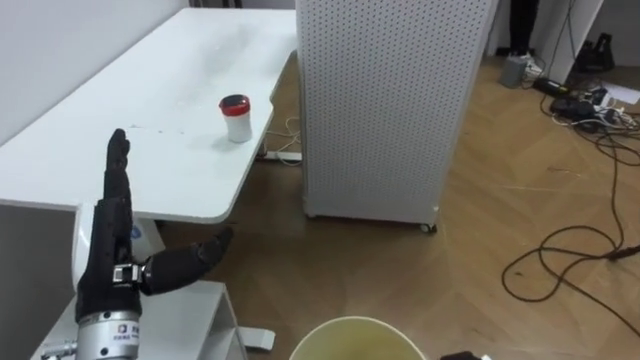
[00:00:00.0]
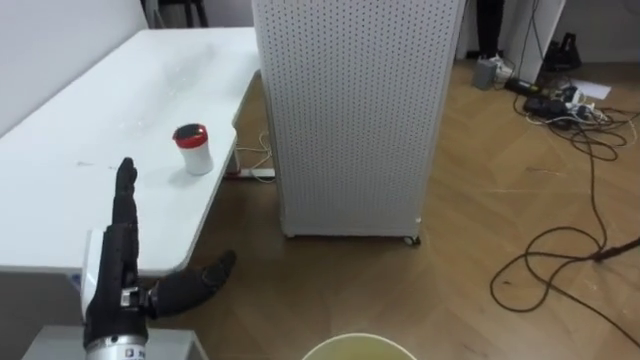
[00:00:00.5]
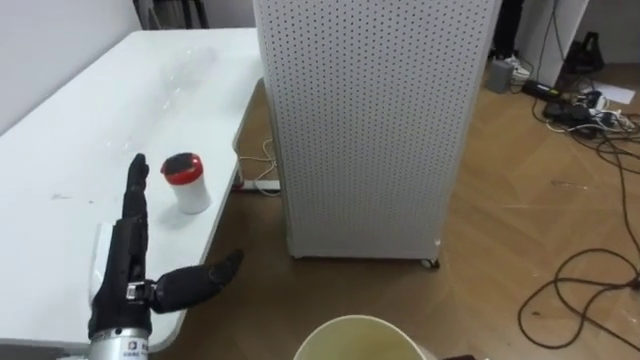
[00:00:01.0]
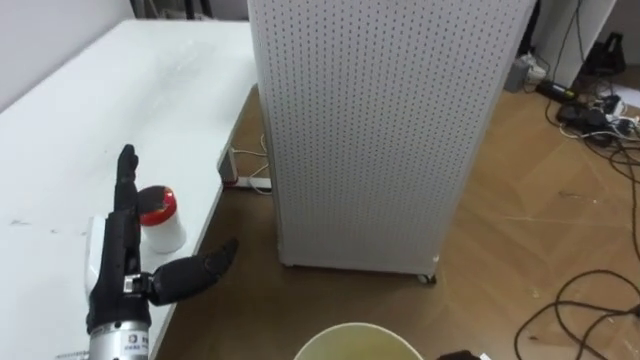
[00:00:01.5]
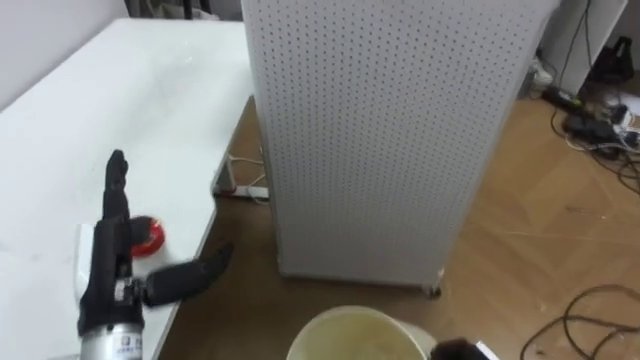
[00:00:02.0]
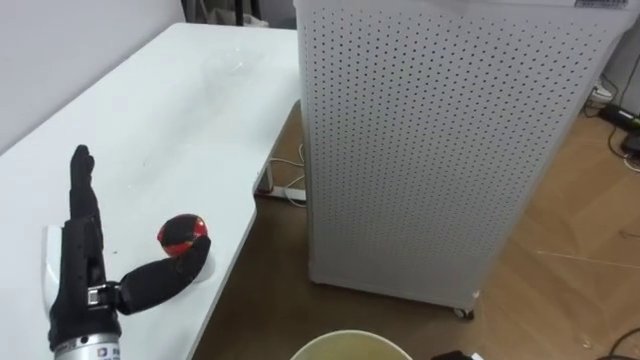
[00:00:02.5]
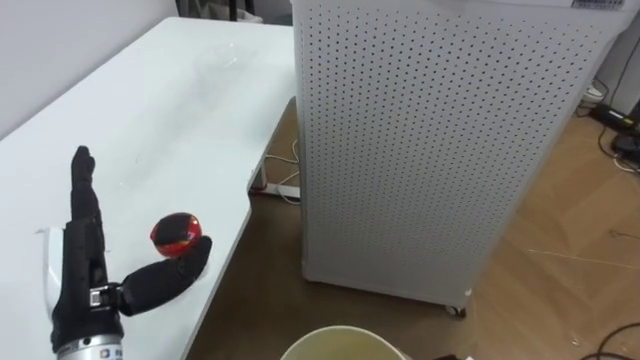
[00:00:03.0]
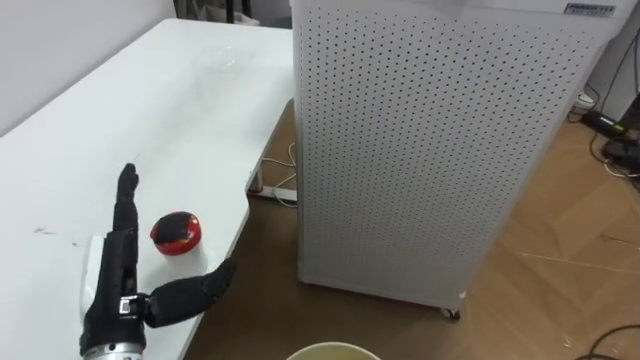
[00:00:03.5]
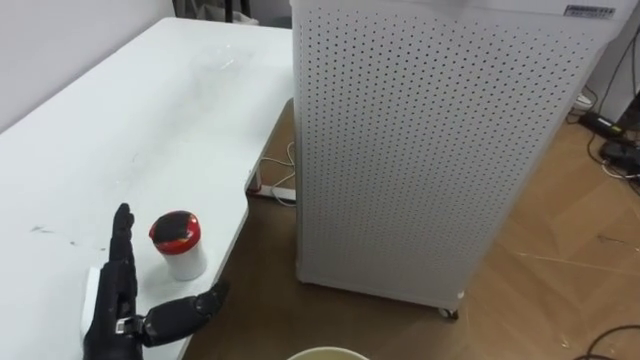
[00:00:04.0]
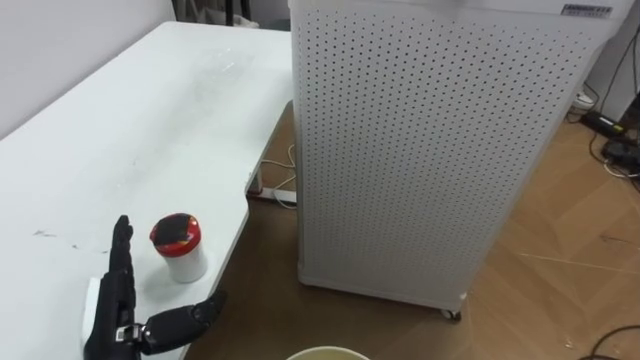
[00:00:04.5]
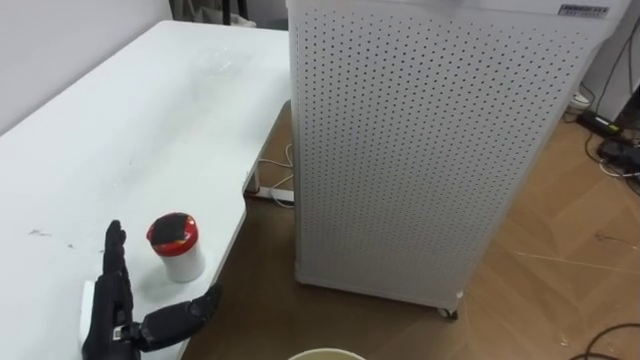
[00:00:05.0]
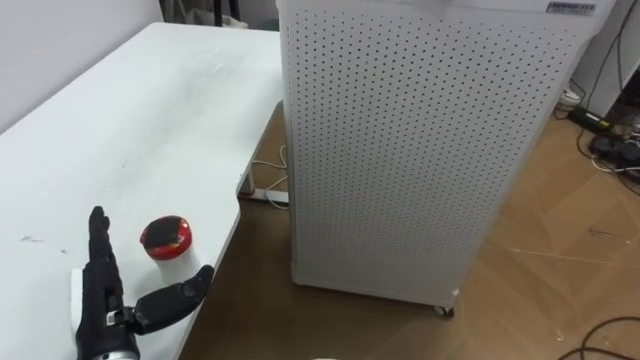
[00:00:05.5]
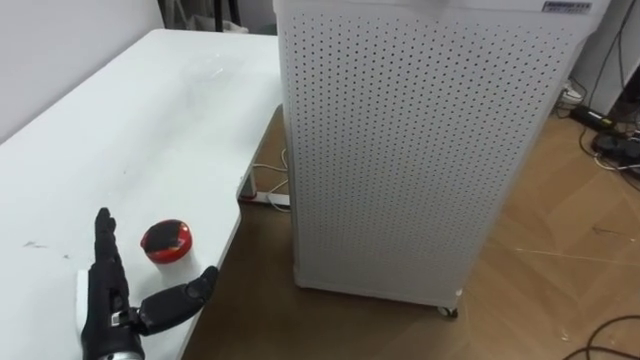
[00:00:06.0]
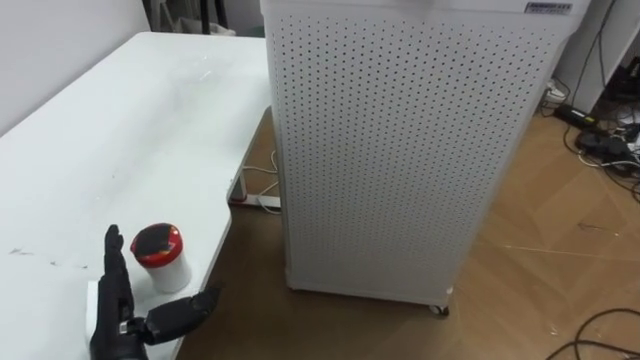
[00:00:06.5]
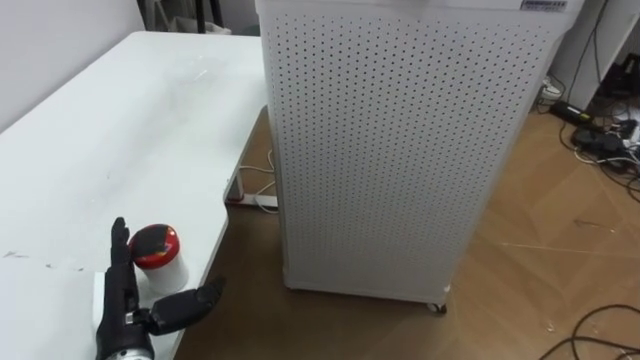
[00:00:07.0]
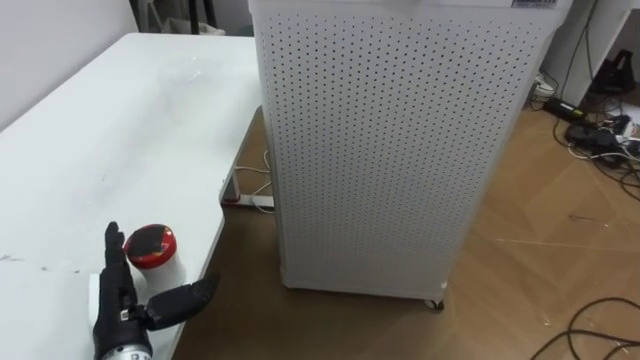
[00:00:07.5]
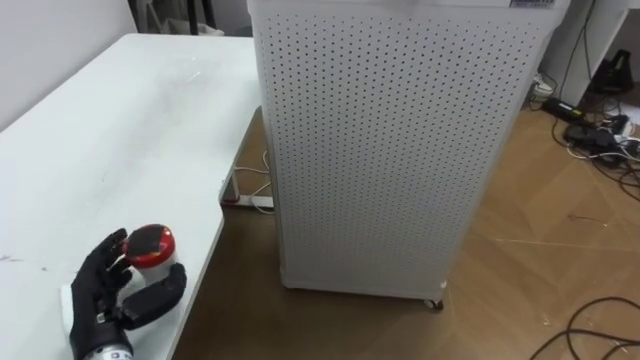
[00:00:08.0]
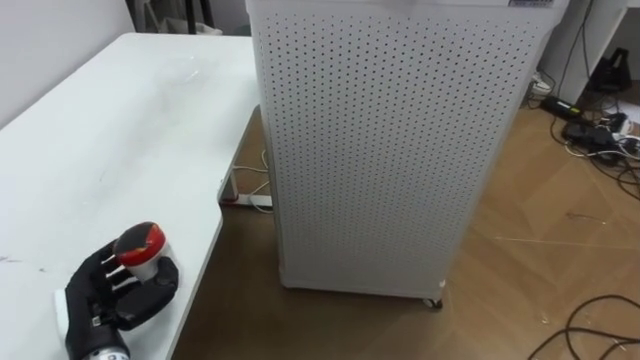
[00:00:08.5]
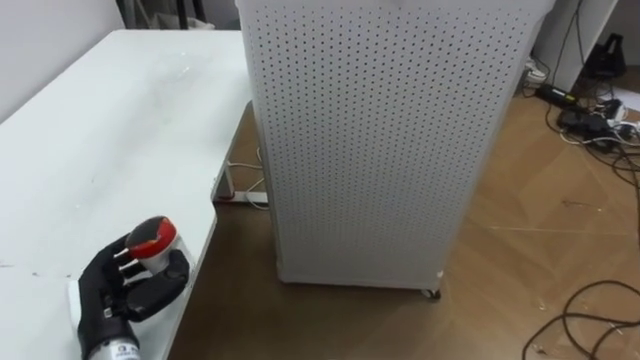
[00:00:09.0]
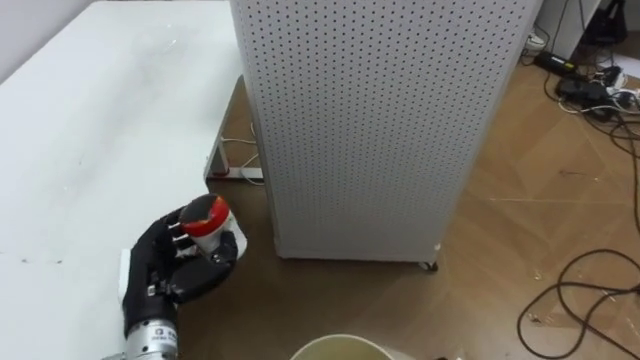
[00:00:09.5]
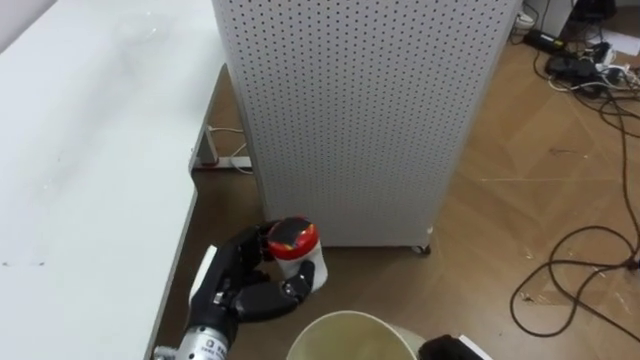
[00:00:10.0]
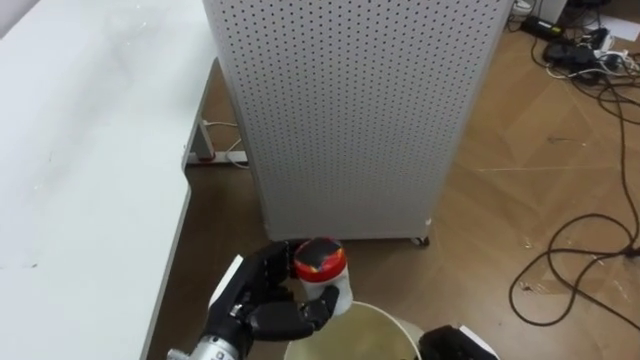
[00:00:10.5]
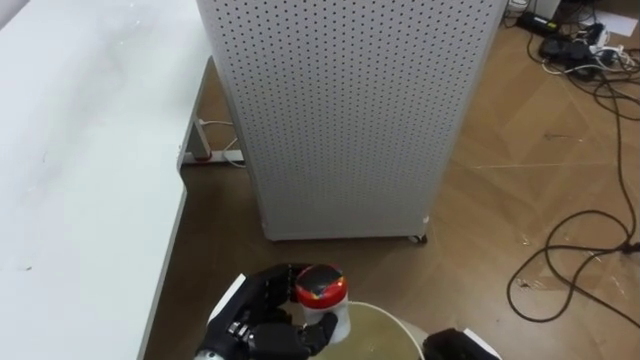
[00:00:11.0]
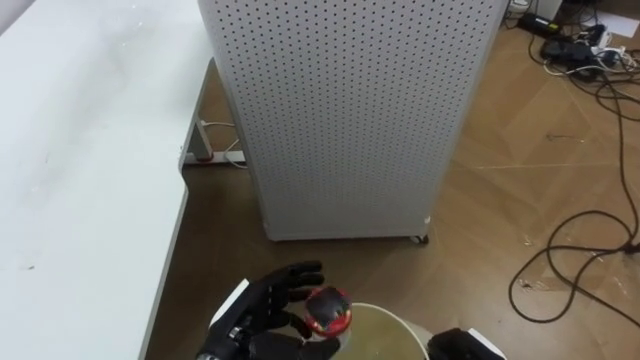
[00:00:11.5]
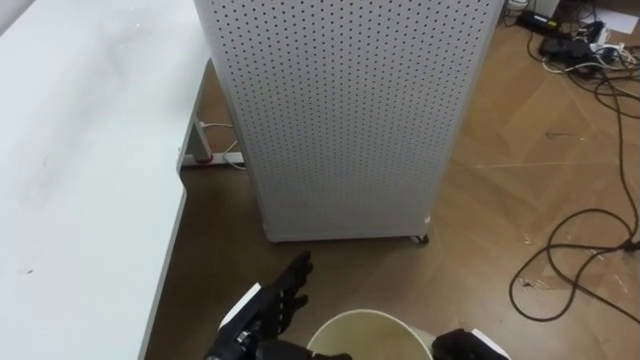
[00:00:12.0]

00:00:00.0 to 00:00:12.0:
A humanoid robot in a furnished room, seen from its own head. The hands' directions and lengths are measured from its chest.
Task of the whole recording: Pick up the light blue package, the candy box, and the dark blue package separately, and put them into the trash can held in your right hand.
00:00:02.0 to 00:00:04.0: The left hand goes about 5 cm downward.
00:00:06.0 to 00:00:08.0: The left hand closes up.
00:00:08.0 to 00:00:10.0: The left hand heads to the right, covering roughly 15 cm.
00:00:10.0 to 00:00:12.0: The left hand changes place by roughly 5 cm, and opens its fingers.

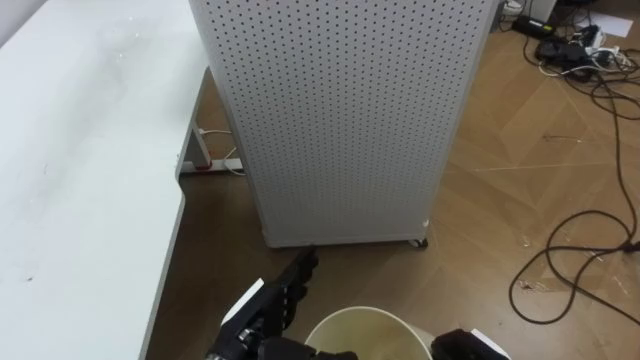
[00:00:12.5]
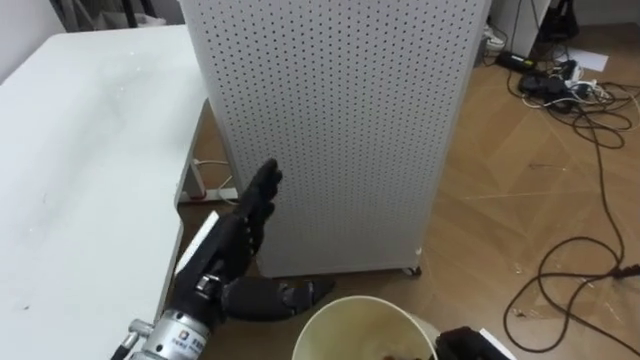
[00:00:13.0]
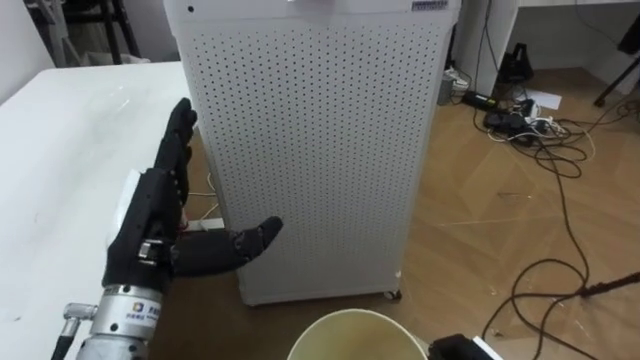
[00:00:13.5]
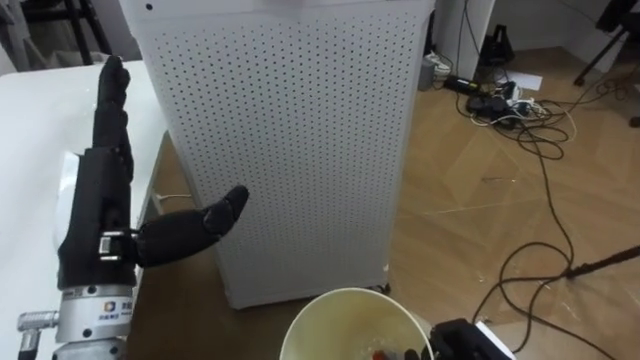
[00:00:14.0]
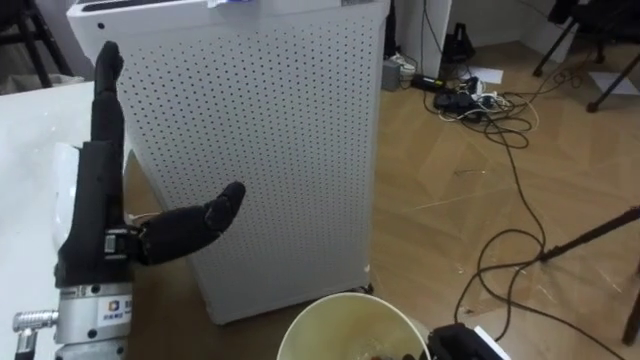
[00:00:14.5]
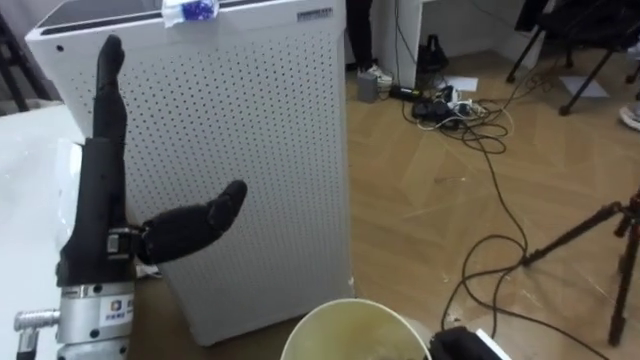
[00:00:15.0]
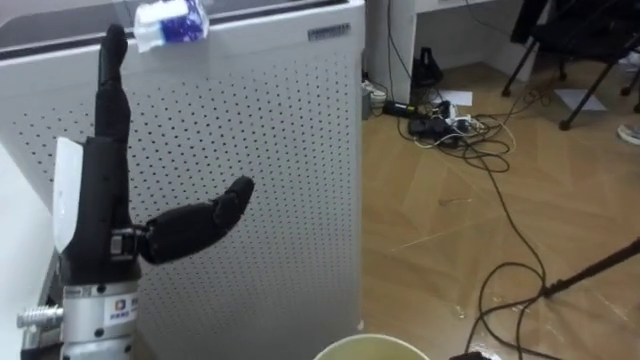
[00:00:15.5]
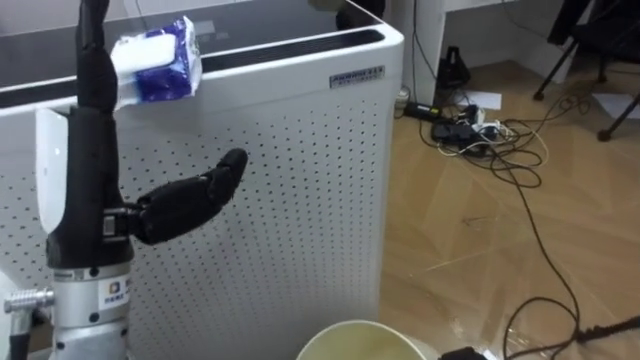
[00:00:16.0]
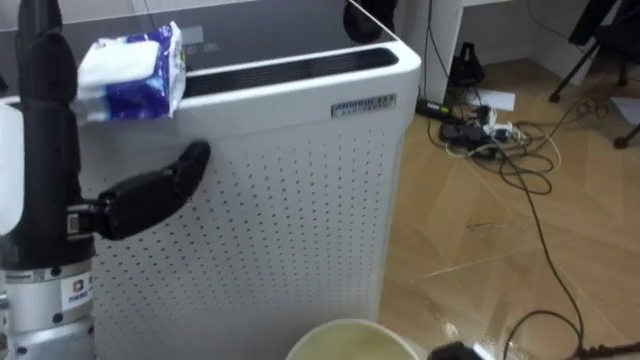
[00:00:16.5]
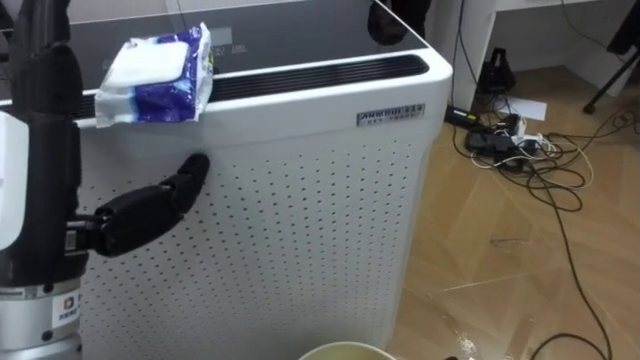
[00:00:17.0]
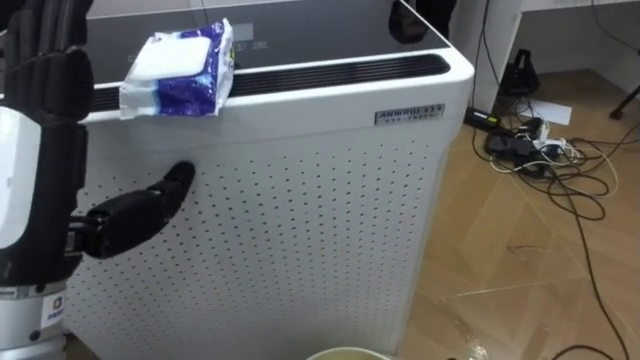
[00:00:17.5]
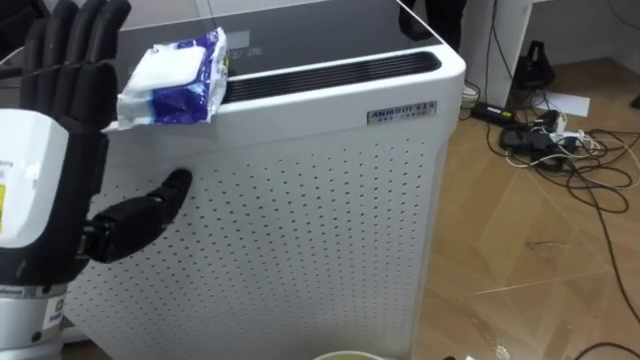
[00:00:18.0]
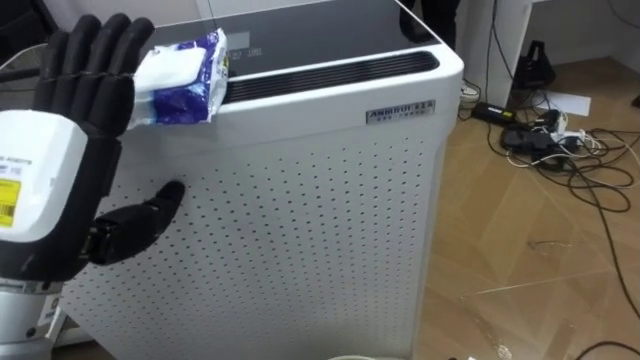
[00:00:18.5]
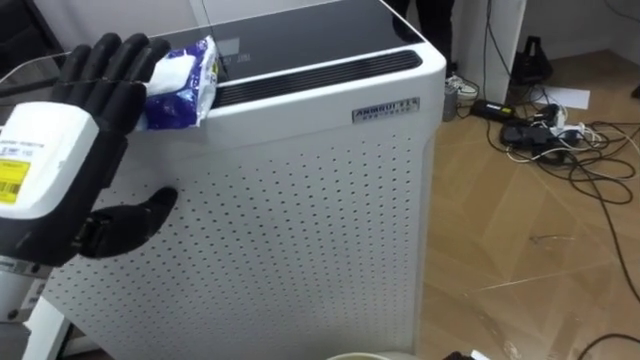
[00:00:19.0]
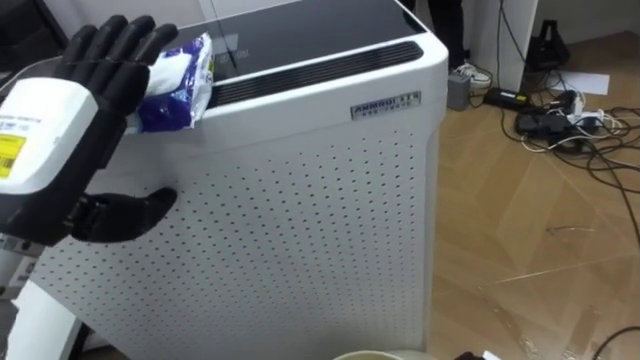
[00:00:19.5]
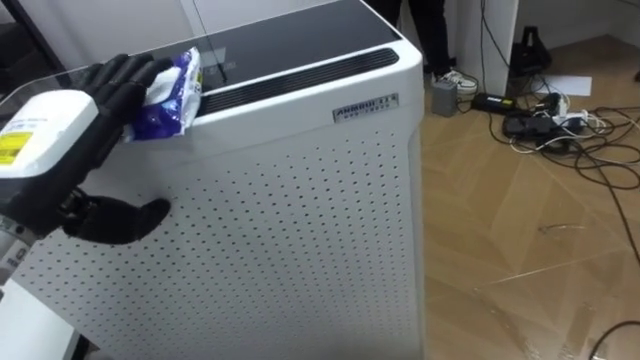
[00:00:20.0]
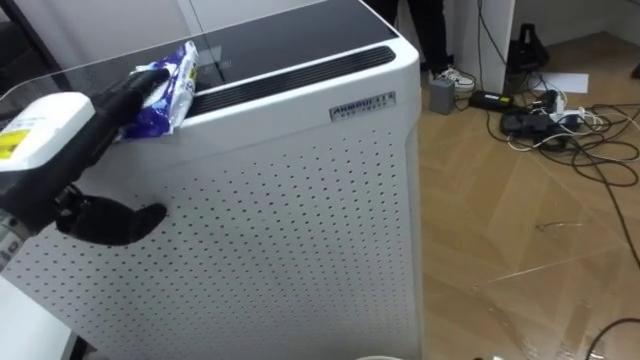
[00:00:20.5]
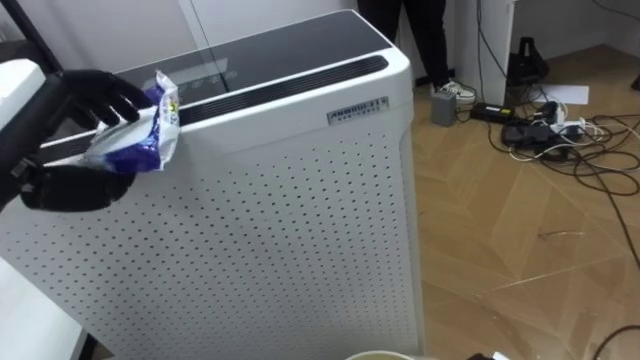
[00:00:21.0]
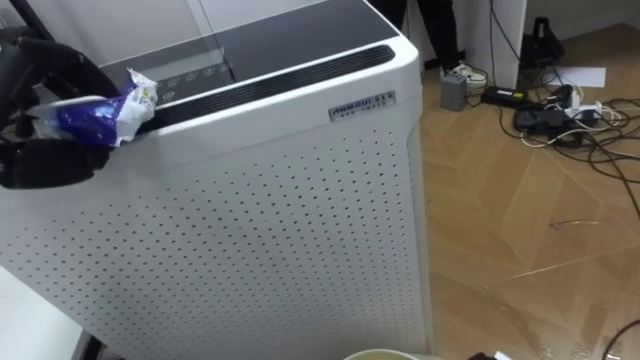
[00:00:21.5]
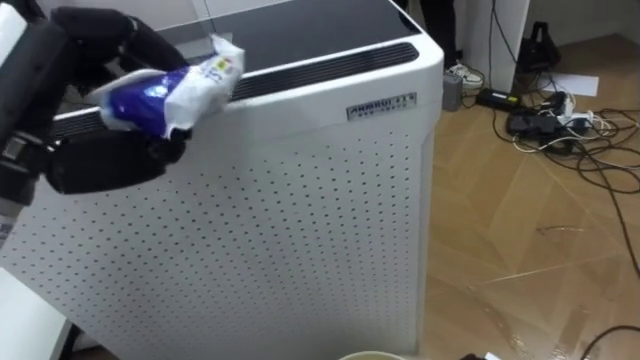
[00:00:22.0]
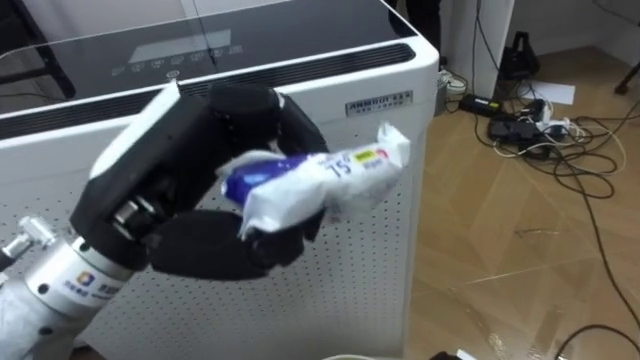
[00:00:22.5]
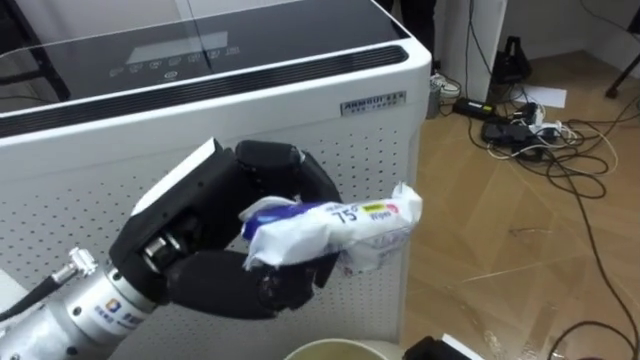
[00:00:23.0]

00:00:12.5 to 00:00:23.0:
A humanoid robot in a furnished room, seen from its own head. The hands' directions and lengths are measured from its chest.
Task of the whole recording: Pick up the light blue package, the candy box, and the dark blue package separately, and put them into the trash can held in your right hand.
00:00:12.5 to 00:00:14.5: The left hand travels upward and to the left by roughly 25 cm.
00:00:14.5 to 00:00:16.5: The left hand heads upward, covering approximately 5 cm.
